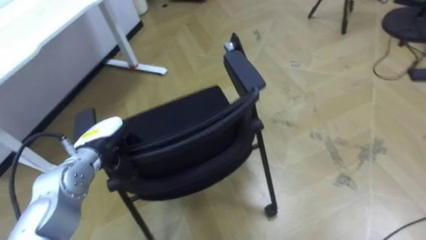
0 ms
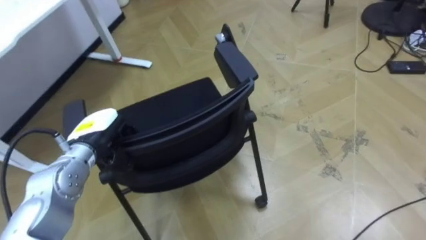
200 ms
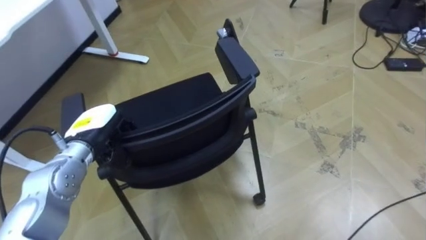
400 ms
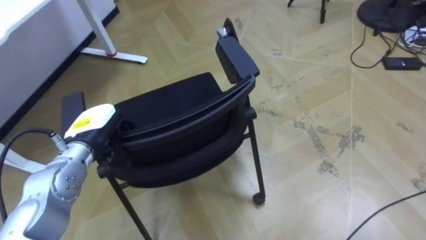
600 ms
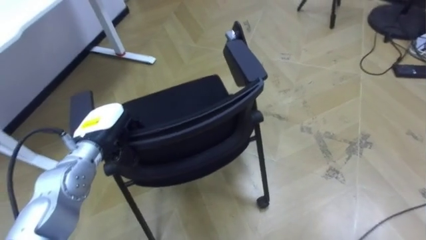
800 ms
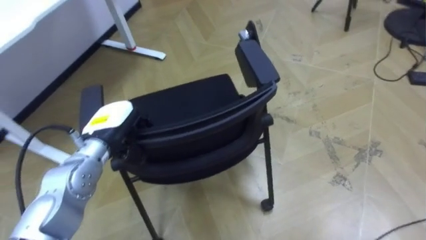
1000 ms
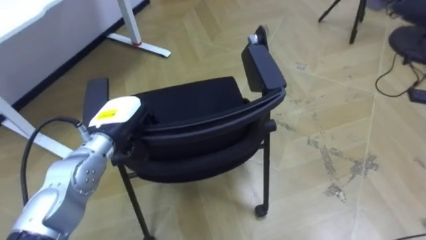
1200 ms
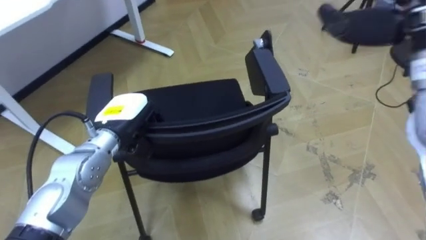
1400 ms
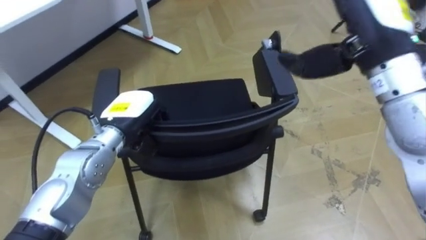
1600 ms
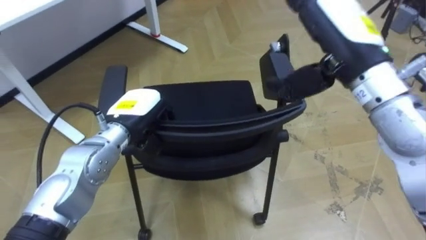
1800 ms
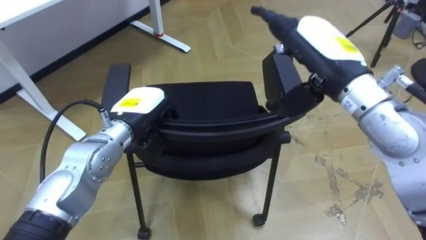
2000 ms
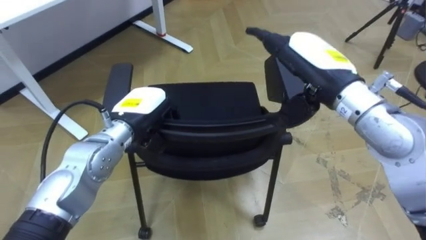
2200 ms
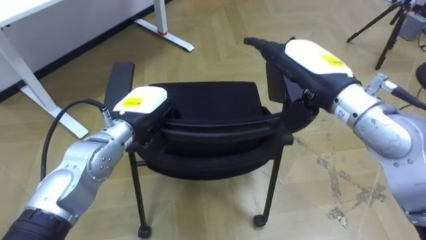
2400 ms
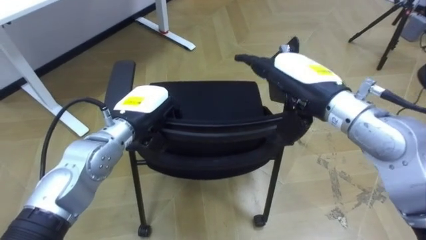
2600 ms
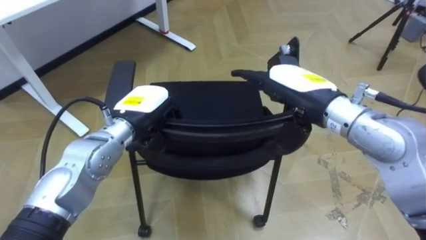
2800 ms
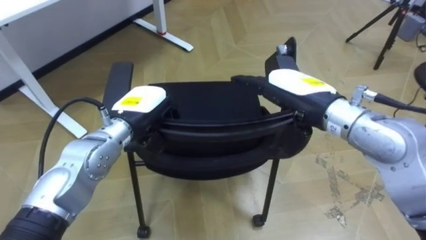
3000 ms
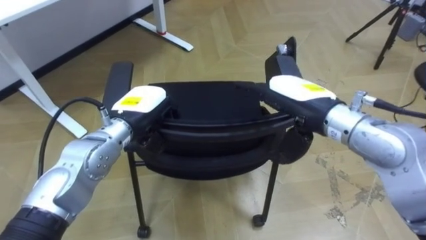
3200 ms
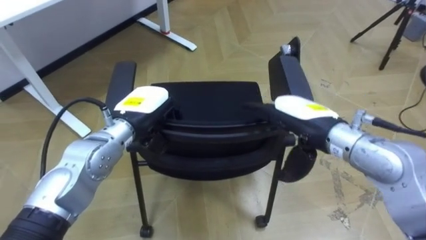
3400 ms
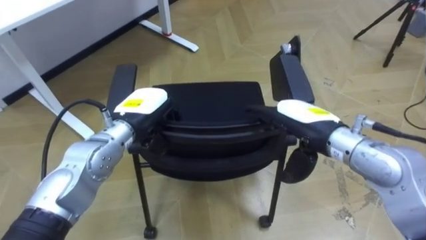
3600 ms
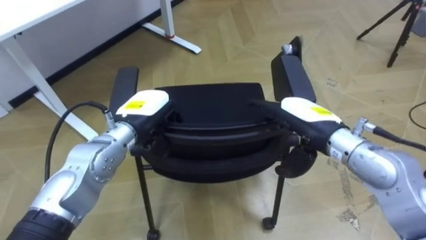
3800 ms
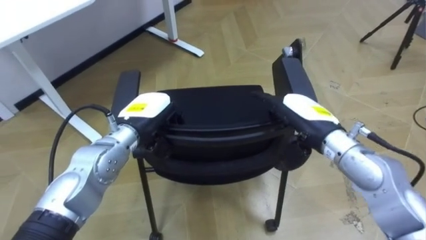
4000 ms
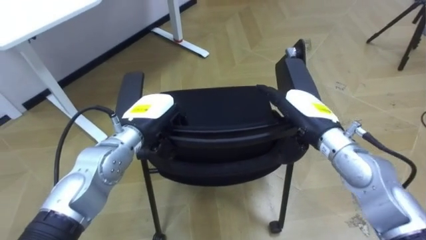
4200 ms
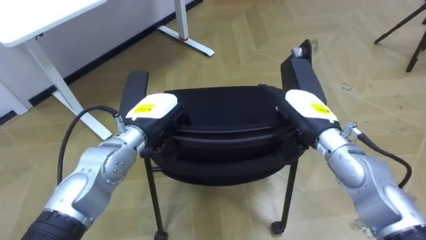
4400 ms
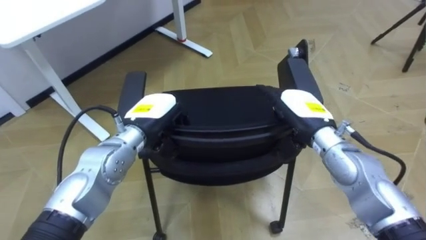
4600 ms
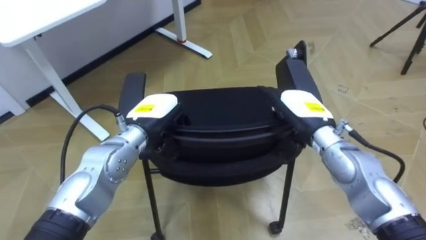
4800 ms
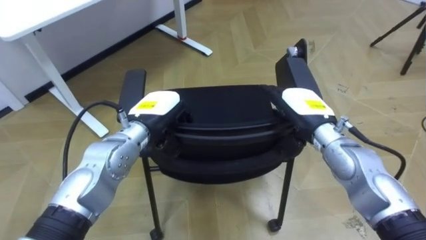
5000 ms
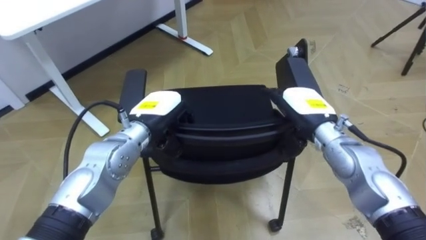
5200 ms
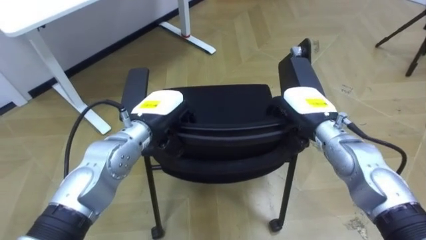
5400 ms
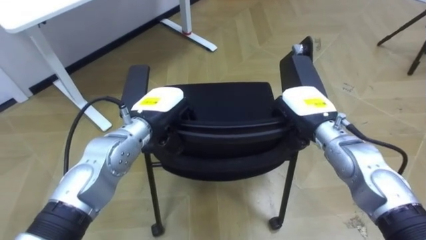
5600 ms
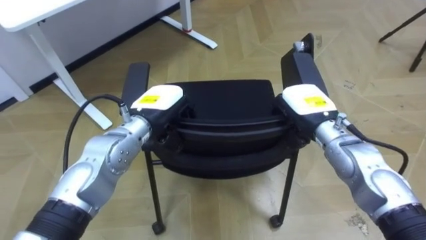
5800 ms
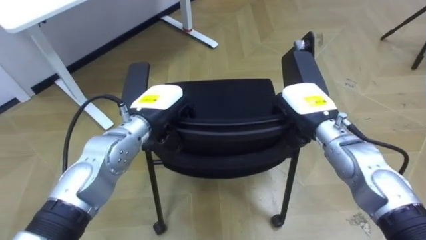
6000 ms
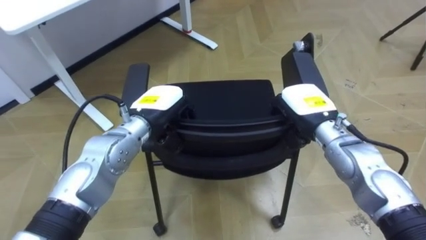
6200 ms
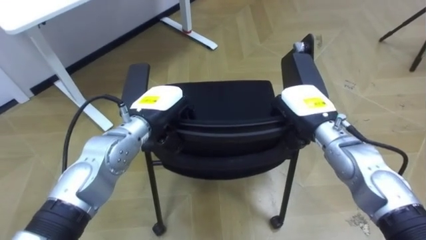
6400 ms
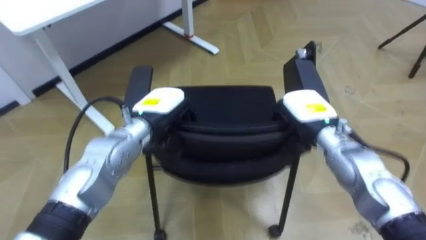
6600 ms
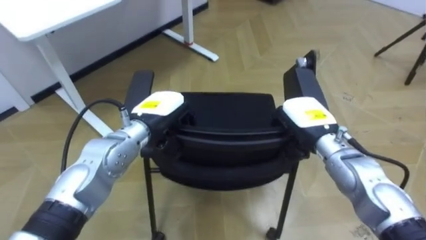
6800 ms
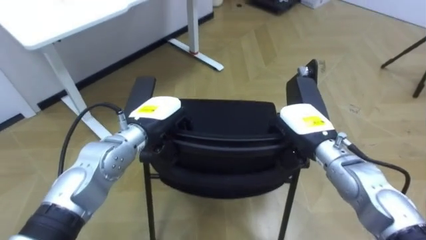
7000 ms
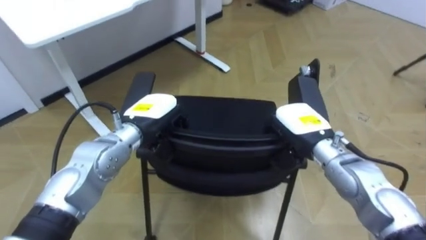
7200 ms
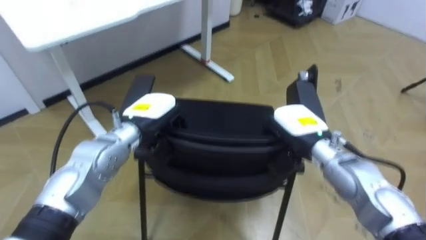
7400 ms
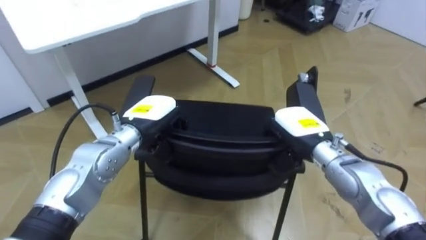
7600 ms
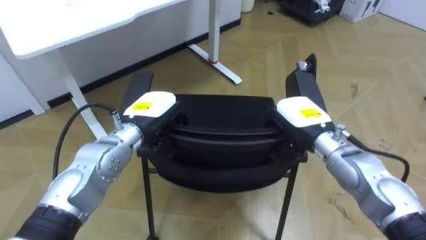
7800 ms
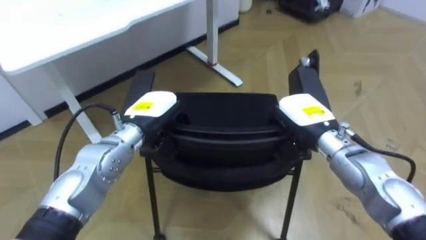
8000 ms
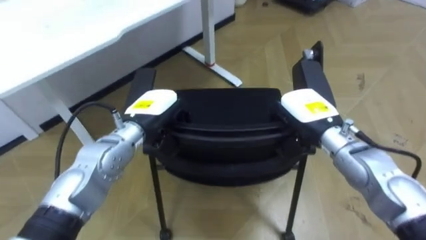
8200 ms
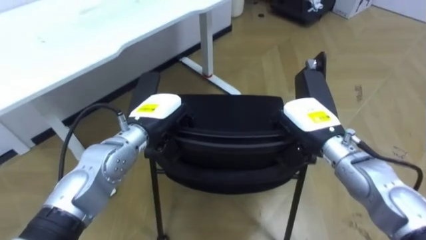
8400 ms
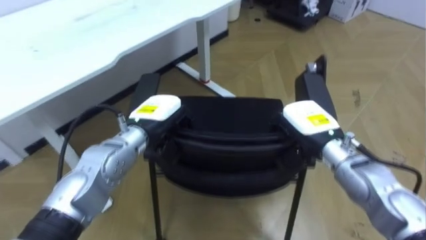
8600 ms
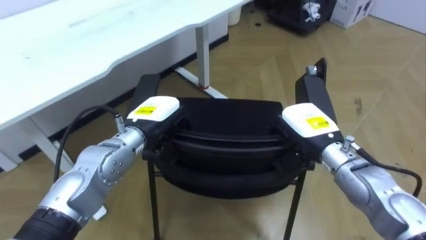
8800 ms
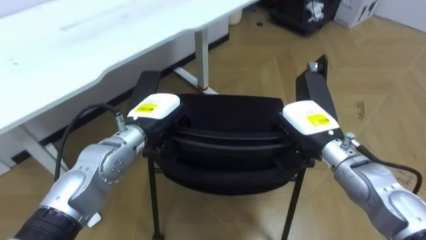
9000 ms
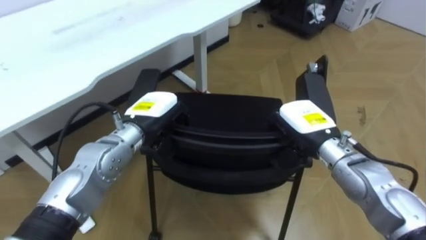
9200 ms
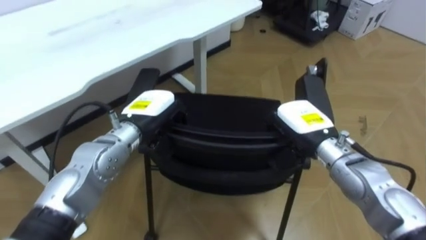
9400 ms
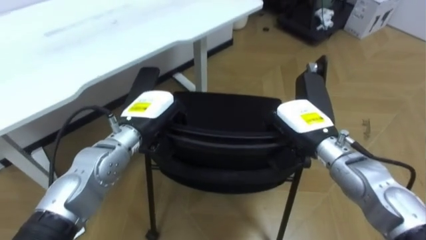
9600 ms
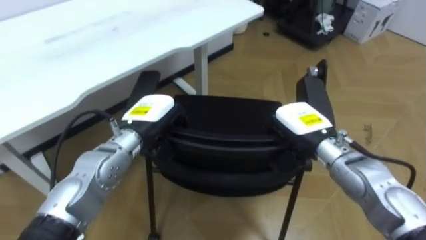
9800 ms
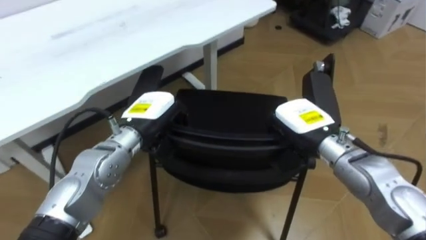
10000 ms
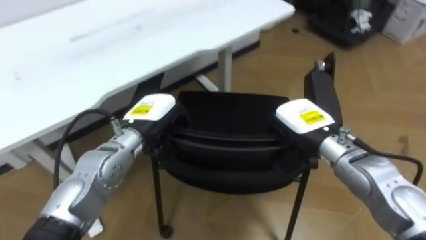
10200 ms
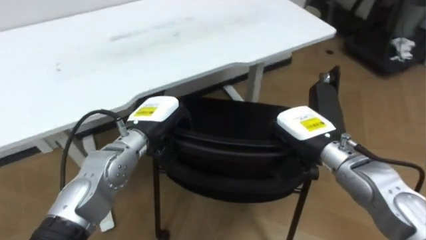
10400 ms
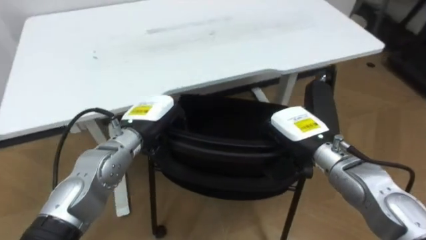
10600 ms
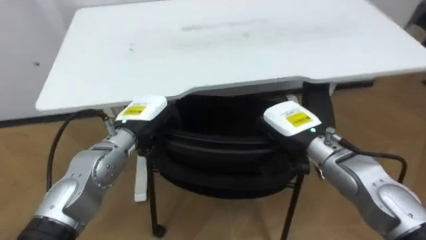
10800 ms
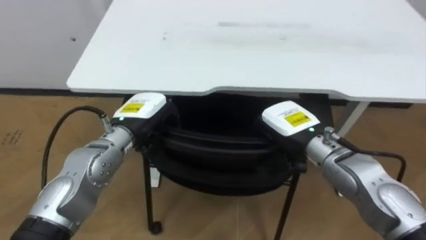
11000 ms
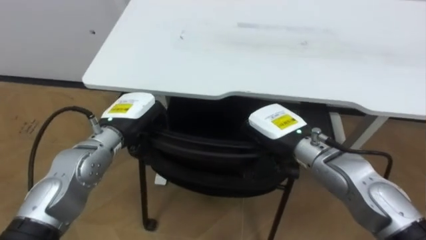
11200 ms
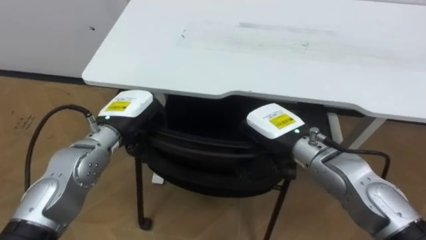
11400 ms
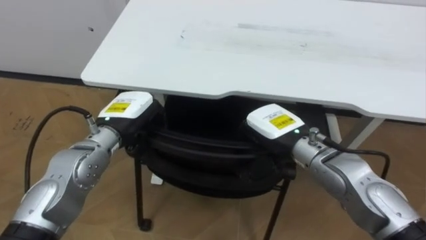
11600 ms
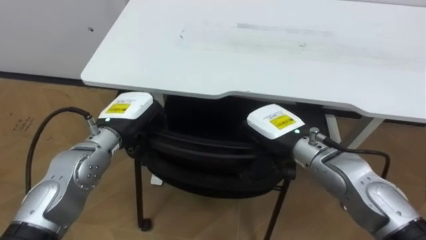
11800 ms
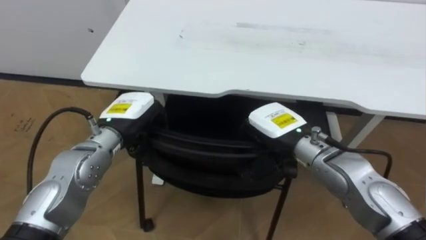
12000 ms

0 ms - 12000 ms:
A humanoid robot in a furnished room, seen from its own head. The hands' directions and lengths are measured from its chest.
Task of the whole recording: Push the chair under the table.
0 ms - 1600 ms: The left hand shifts roughly 5 cm to the right.
1600 ms - 3000 ms: The right hand heads downward, covering about 15 cm.
3000 ms - 4400 ms: The right hand travels downward by roughly 10 cm.
4400 ms - 6000 ms: The right hand closes.
9000 ms - 10400 ms: The robot rotates roughly 20 degrees to its left.
10400 ms - 12000 ms: The robot faces some 30 degrees further to its left. The right hand goes about 5 cm to the left.

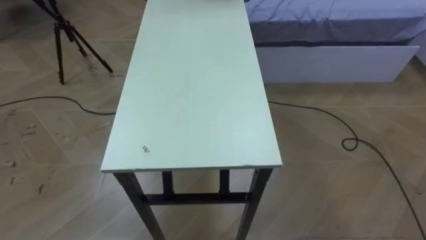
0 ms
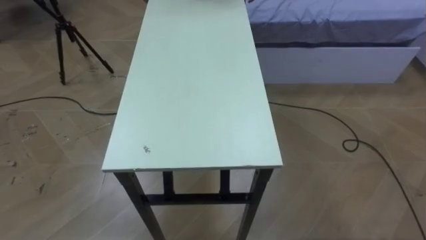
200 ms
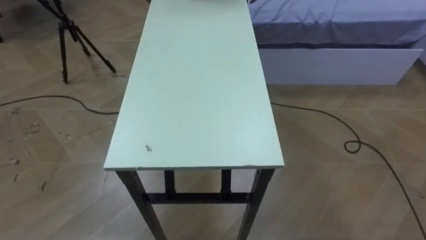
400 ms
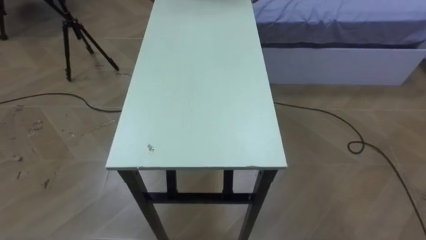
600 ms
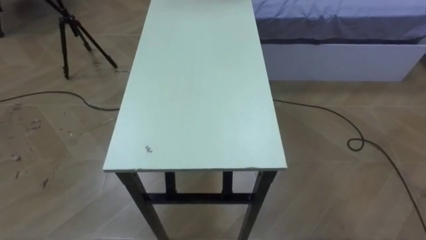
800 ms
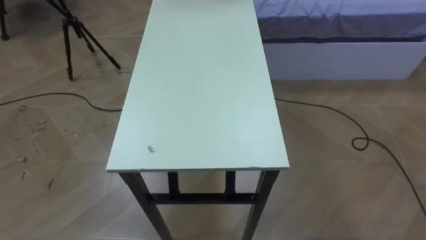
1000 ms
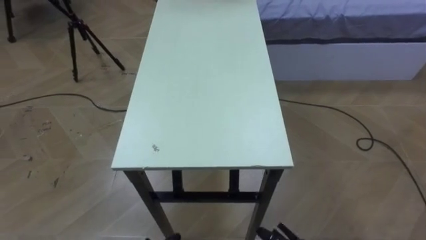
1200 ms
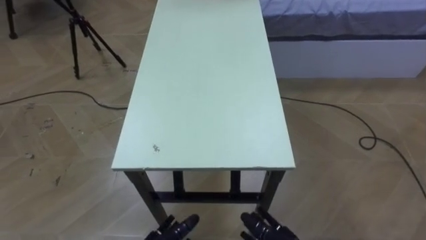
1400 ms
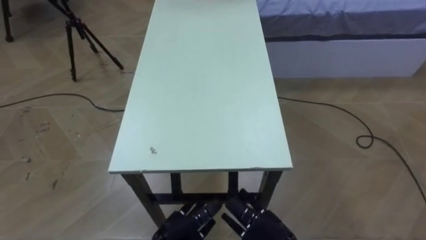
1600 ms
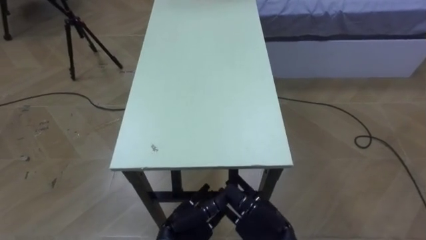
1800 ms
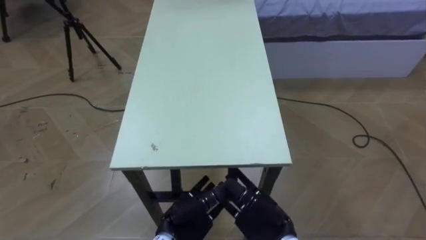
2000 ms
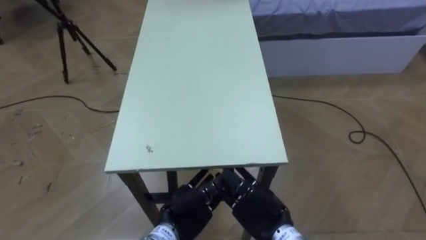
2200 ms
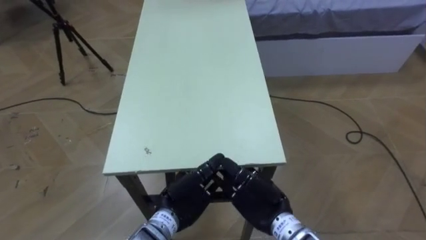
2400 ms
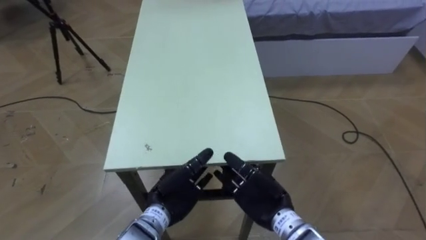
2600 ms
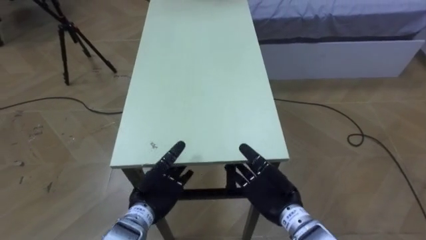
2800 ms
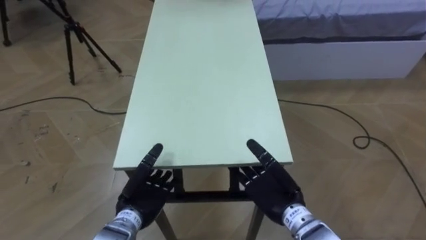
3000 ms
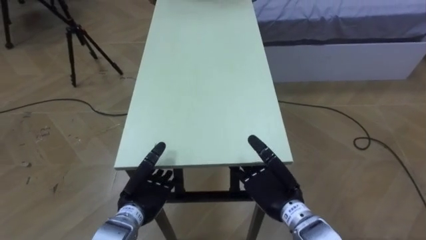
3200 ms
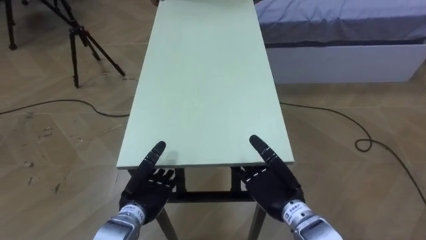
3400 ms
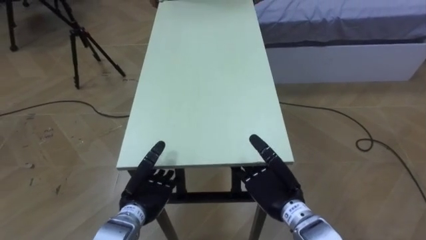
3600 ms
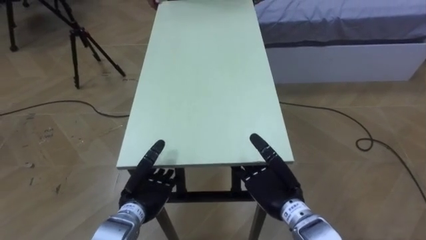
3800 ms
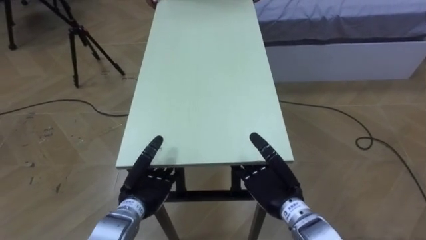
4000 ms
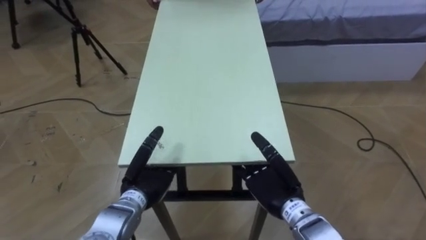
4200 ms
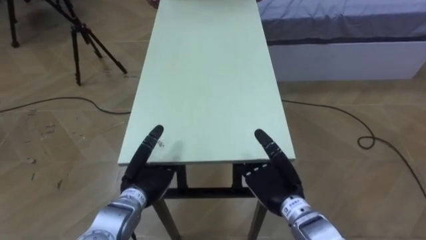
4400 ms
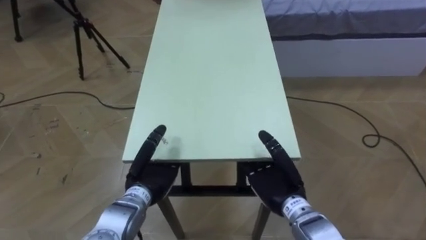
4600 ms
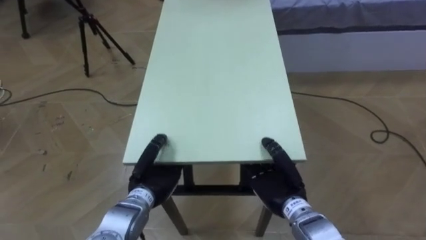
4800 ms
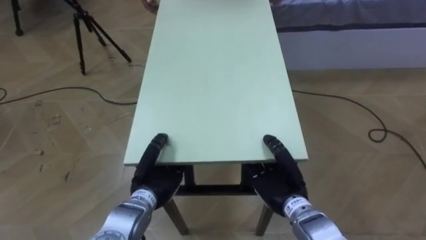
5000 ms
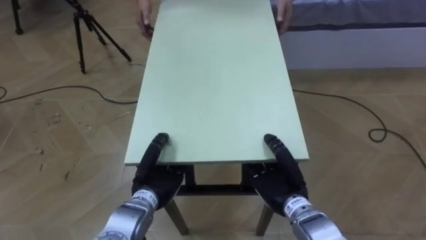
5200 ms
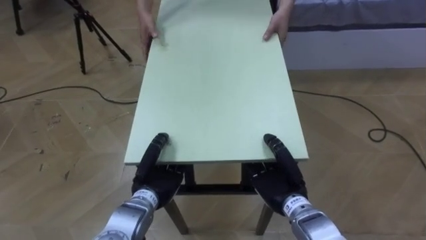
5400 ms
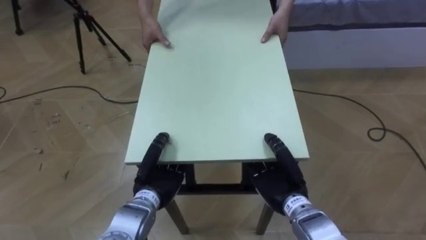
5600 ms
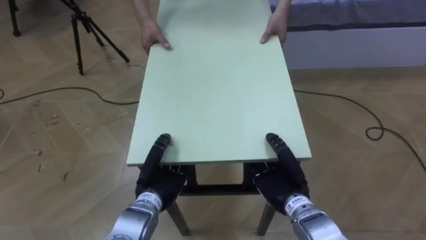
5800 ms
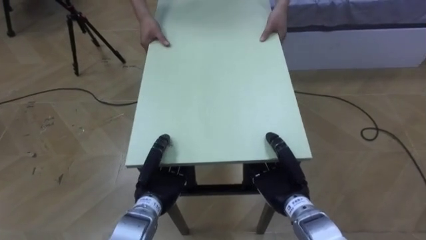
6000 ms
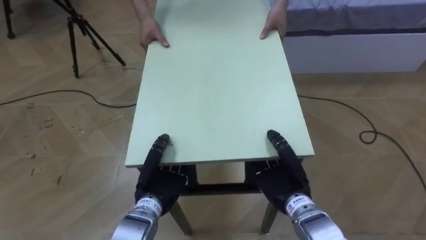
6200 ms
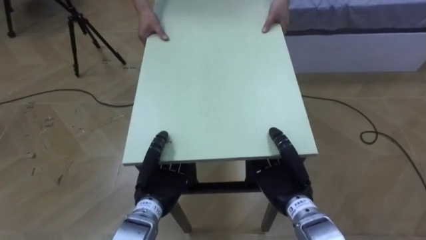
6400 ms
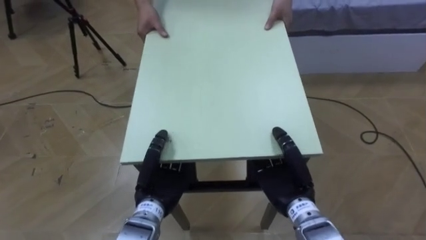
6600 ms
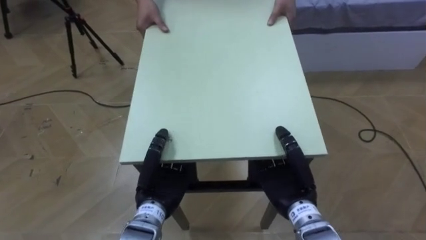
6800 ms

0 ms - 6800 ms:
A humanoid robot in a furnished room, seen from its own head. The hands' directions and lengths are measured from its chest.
Task of the whole recording: Move the table to the back left with someone.
2800 ms - 4000 ms: There are only small adjustments of the hands.
4000 ms - 5400 ms: The right hand closes; the left hand closes up.
